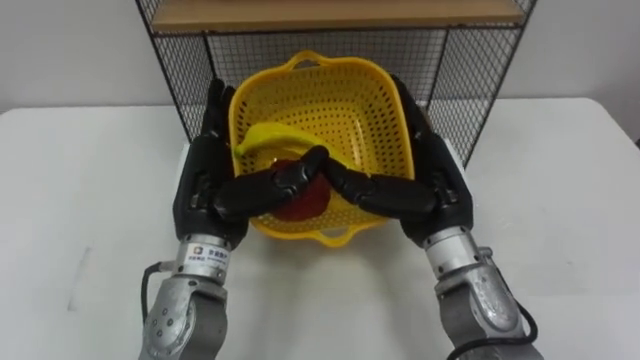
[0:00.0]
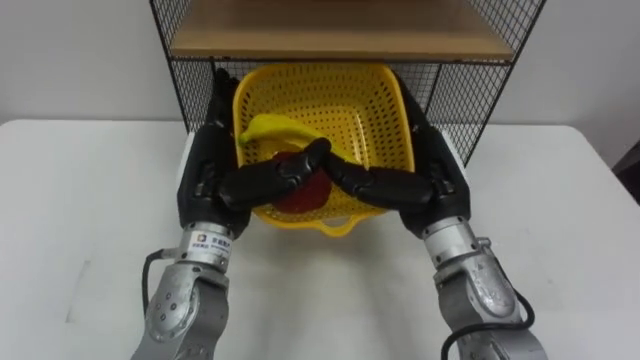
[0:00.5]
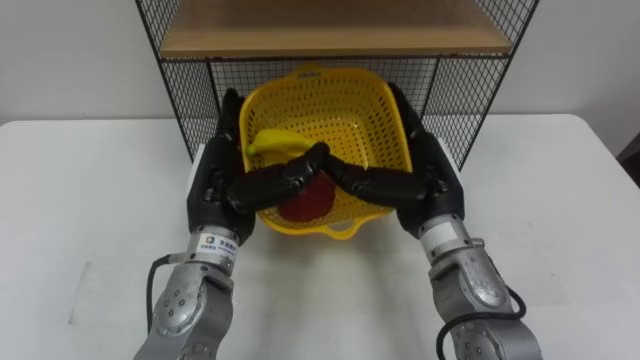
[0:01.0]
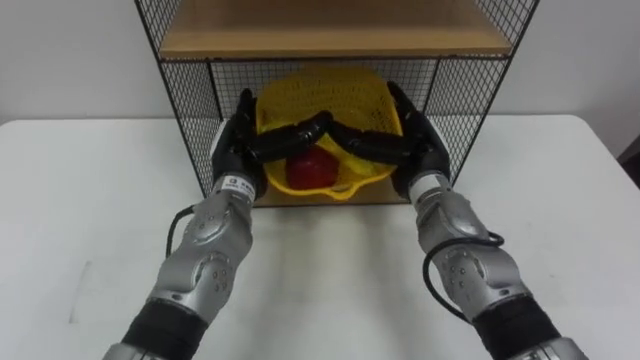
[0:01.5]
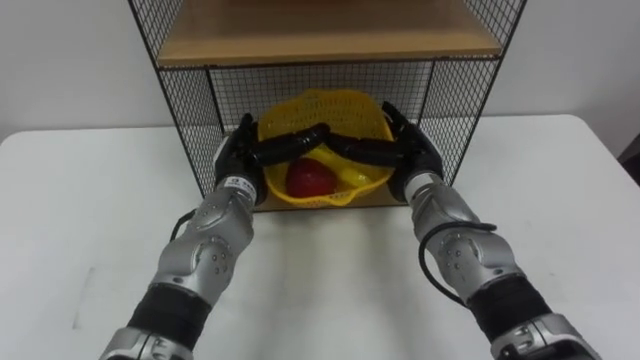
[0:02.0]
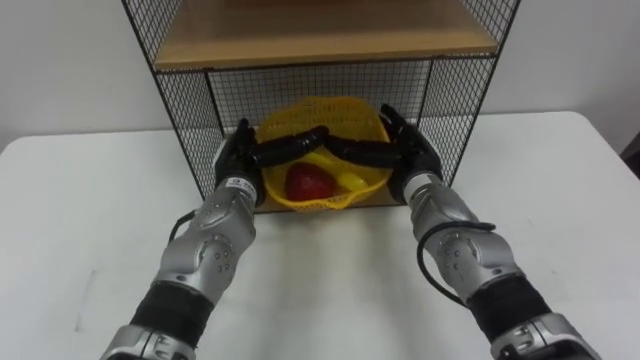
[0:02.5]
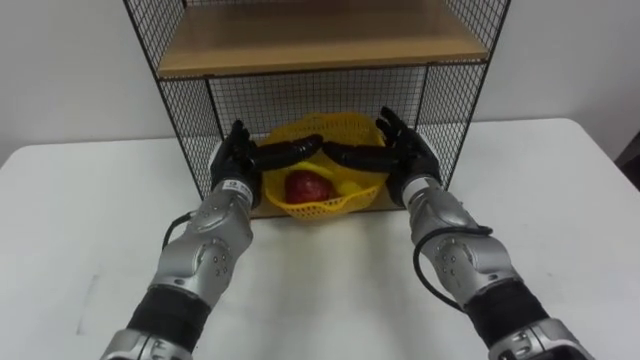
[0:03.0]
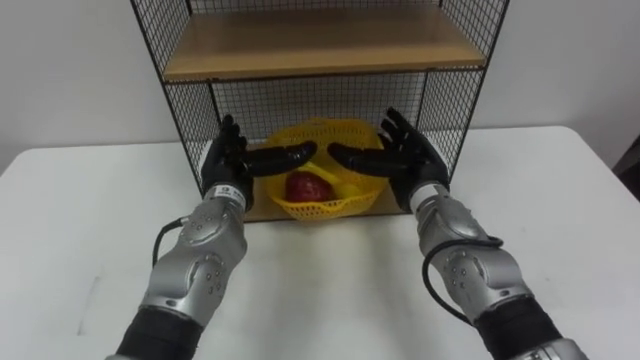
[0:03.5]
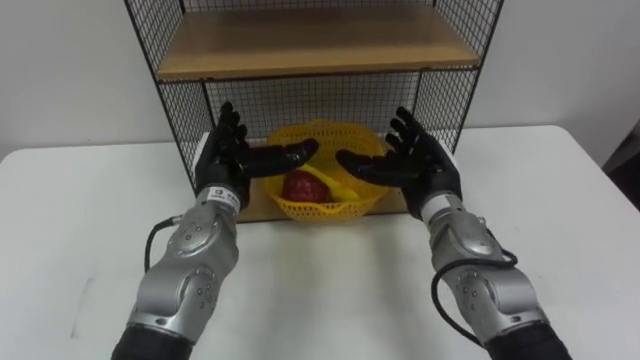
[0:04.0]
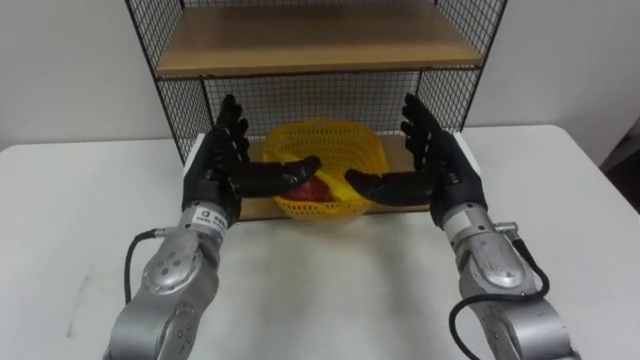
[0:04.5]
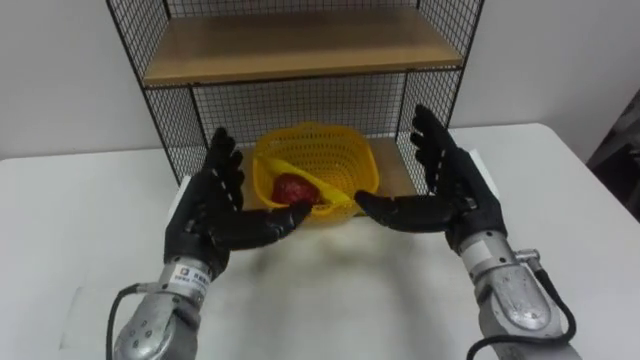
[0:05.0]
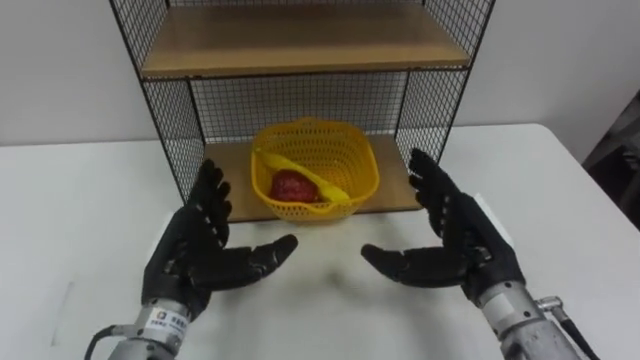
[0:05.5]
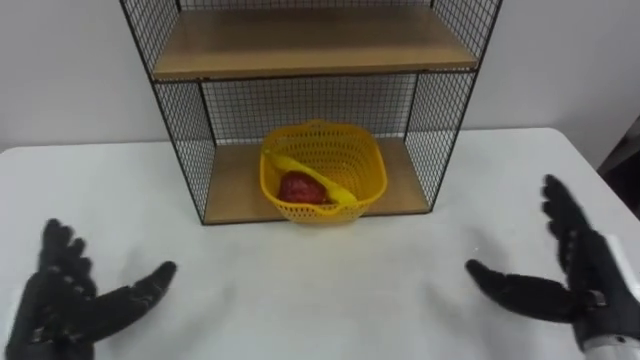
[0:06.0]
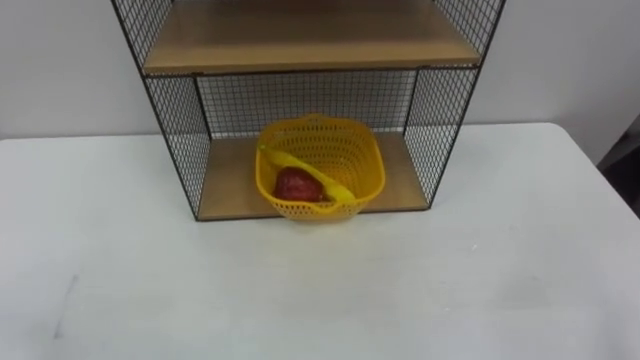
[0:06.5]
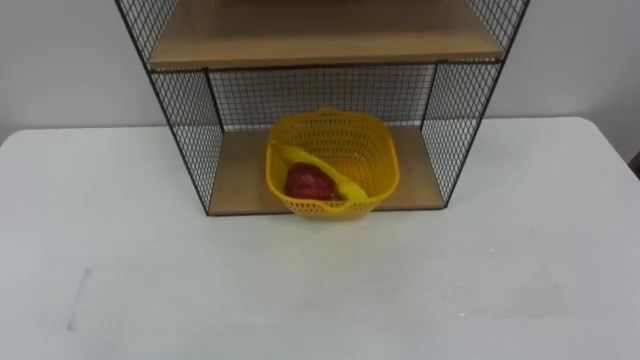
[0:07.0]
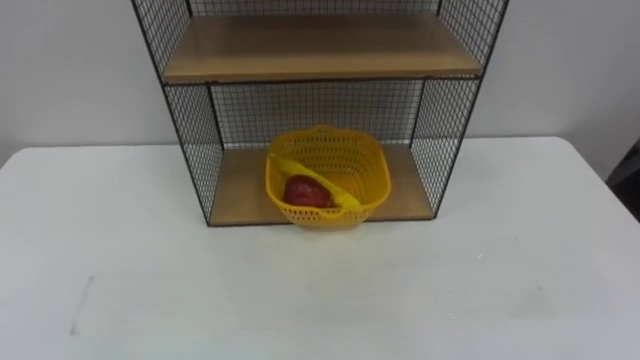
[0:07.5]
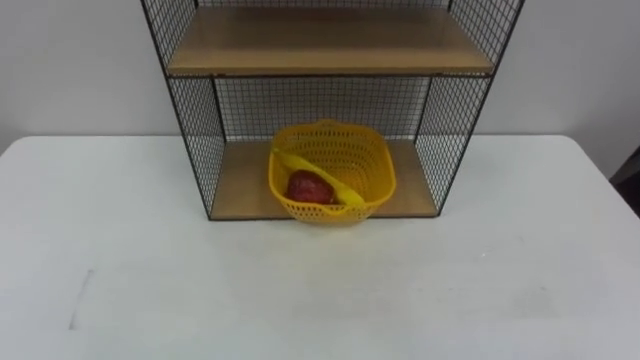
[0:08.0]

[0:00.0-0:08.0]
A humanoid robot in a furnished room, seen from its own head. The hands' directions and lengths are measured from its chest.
Task of the whole recording: Put the fruit on the table into the basket, then place the basket on the shelf.
0:00.0 to 0:02.0: The hands both shift forward and downward by approximately 10 cm.
0:04.0 to 0:06.0: The right hand shifts approximately 20 cm backward and to the right, while the left hand moves backward and to the left, some 25 cm.

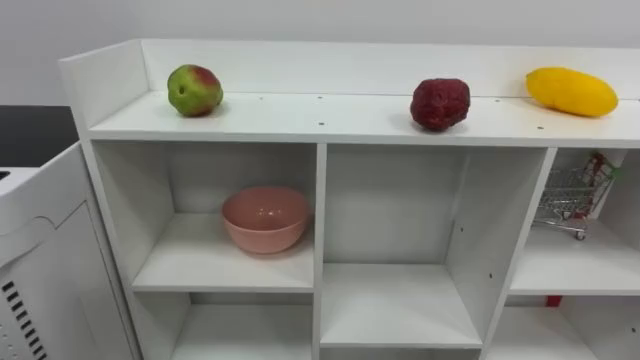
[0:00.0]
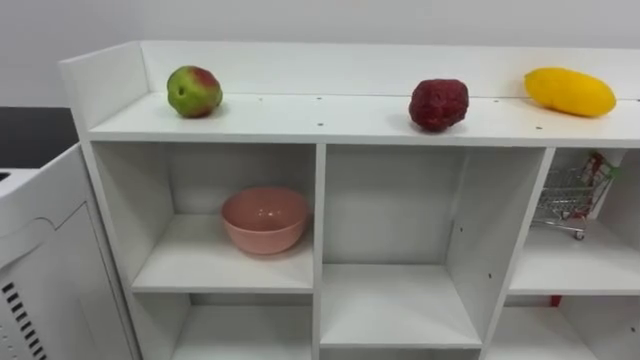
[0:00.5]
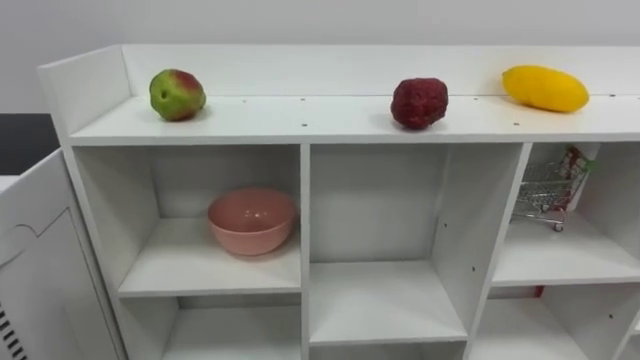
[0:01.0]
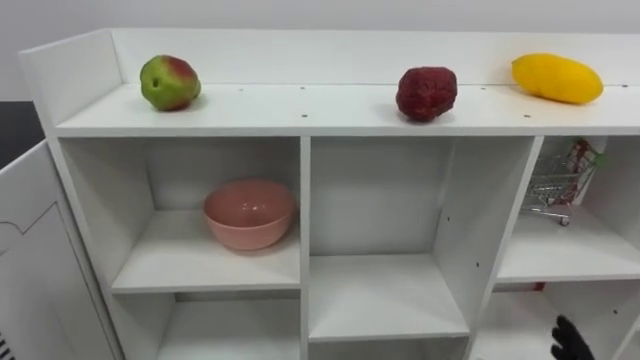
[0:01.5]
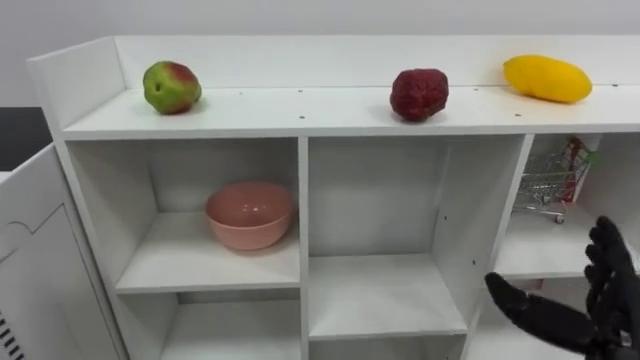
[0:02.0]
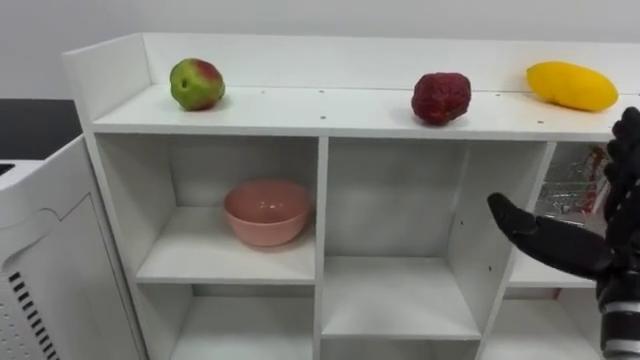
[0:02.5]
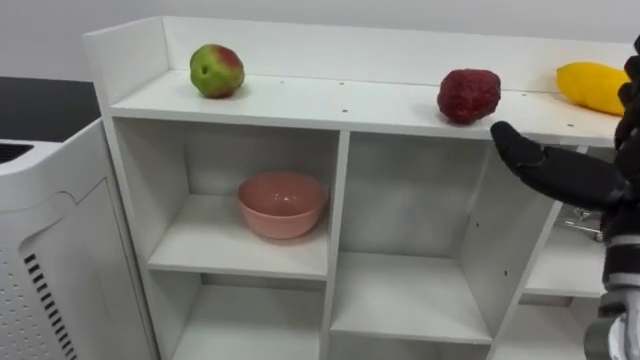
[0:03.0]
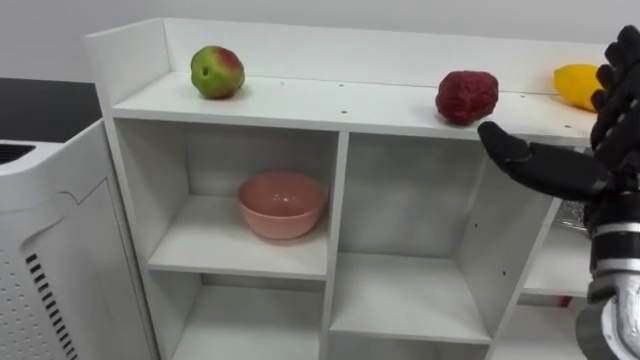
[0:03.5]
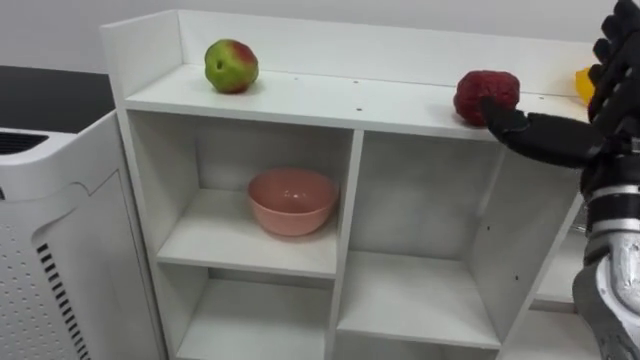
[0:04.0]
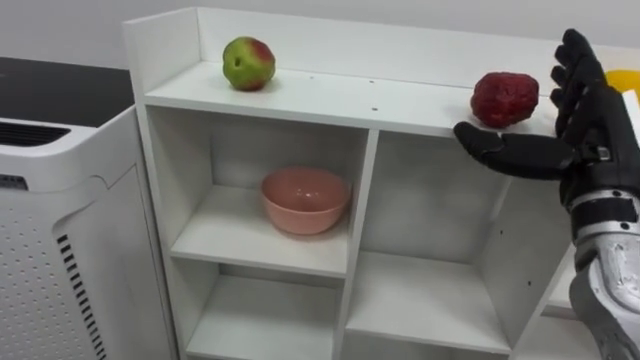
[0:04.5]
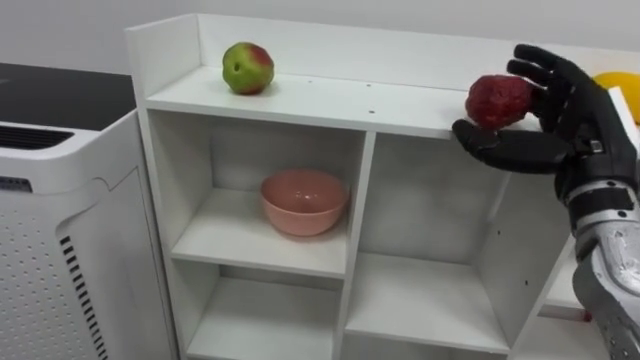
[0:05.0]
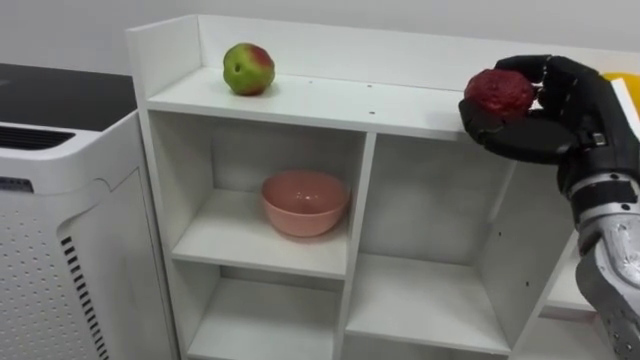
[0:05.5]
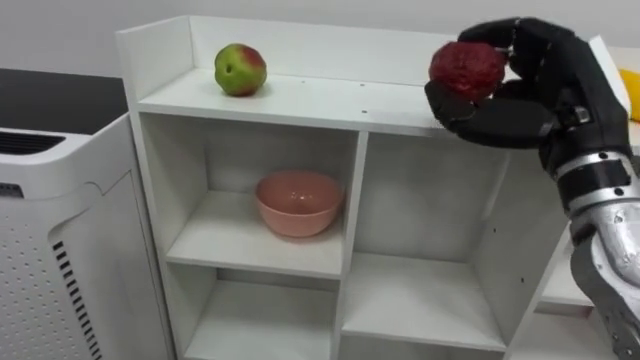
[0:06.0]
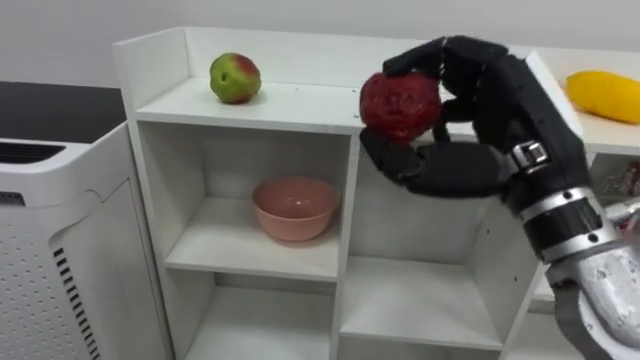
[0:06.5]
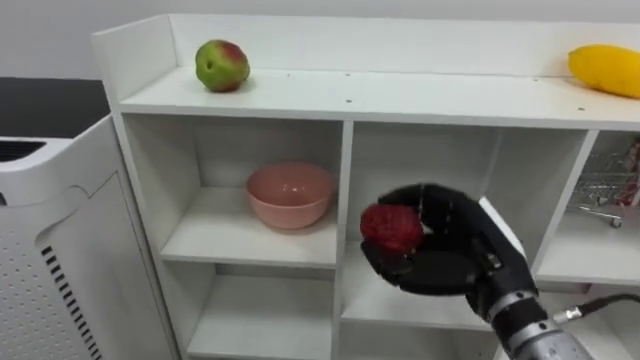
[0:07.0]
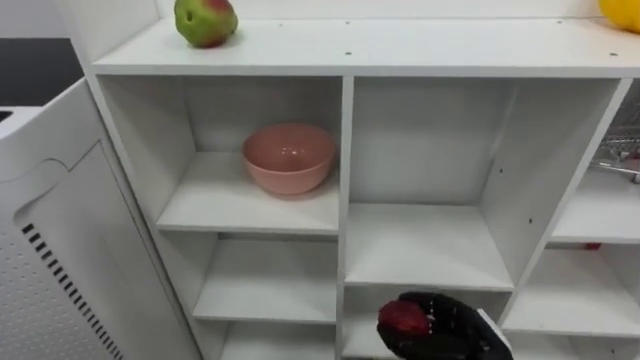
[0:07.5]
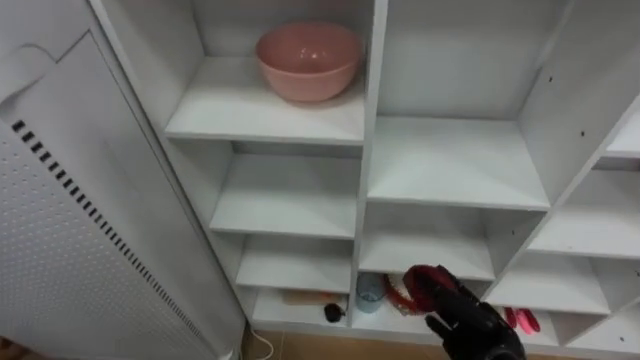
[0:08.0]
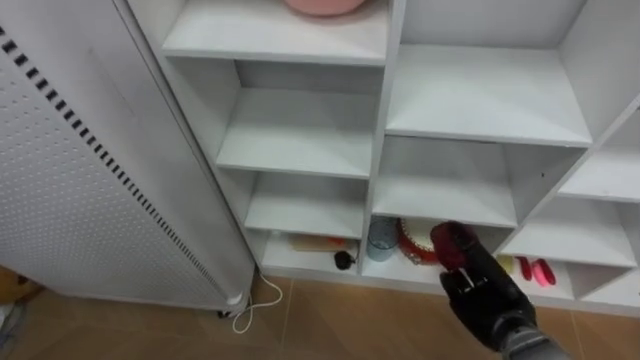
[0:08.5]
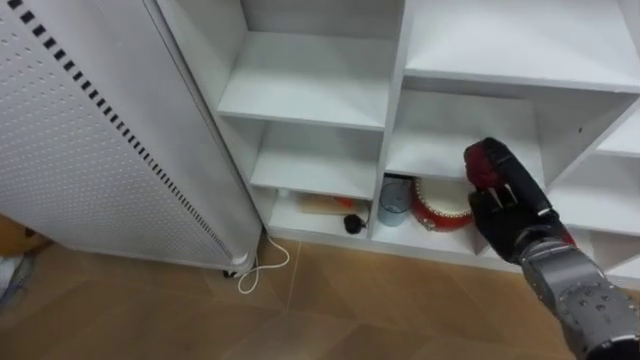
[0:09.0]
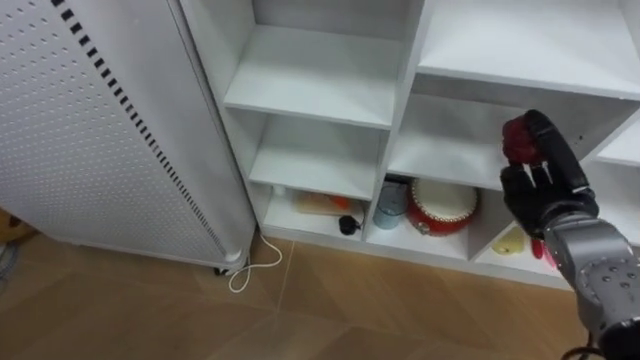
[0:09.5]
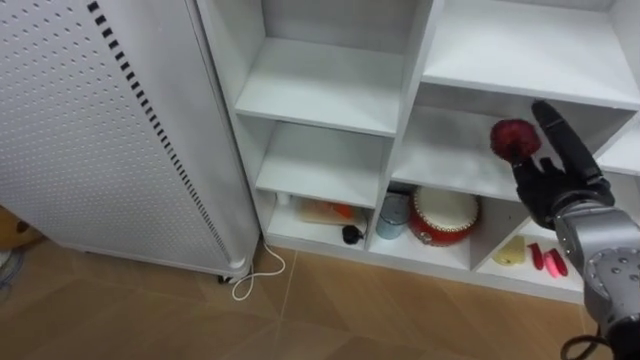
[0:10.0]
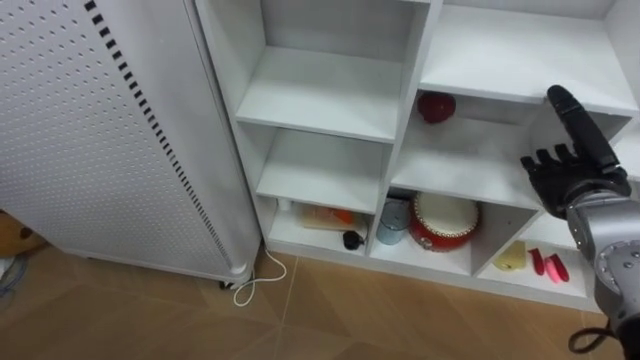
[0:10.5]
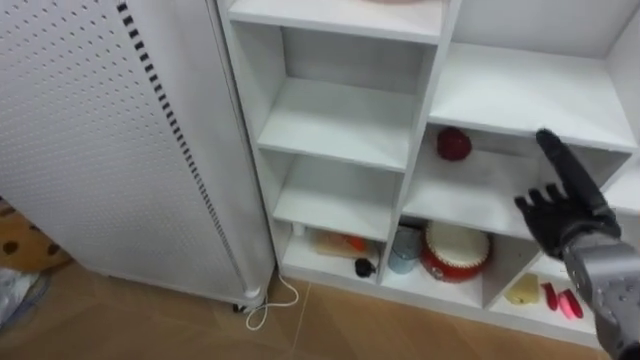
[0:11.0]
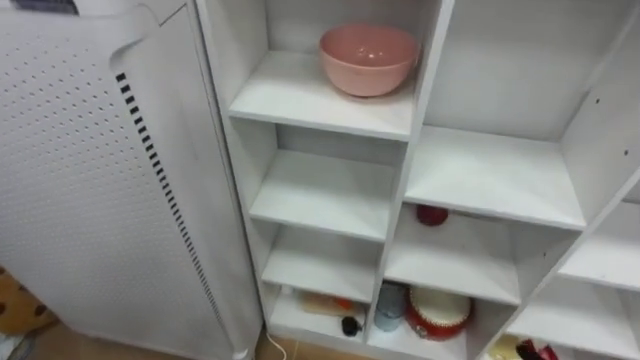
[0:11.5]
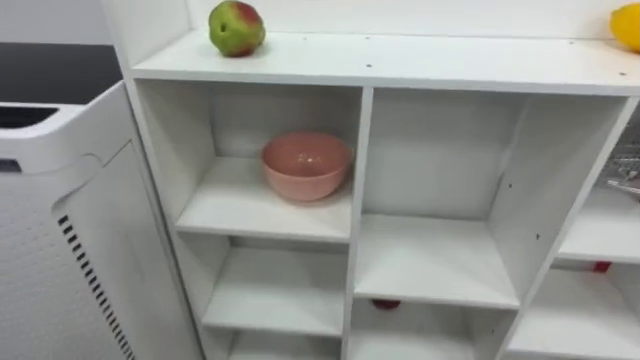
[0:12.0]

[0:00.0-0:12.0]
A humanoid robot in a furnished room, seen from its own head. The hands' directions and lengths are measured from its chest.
Task of the whole recording: Put the apple in the cell in the second column from the left and the second row from the top.
0:02.0 to 0:04.0: The right hand heads upward, covering about 20 cm.
0:04.0 to 0:06.0: The right hand changes place by roughly 5 cm, and closes.
0:08.0 to 0:10.0: The right hand is displaced upward, to the right and forward by roughly 20 cm, and opens its fingers.
